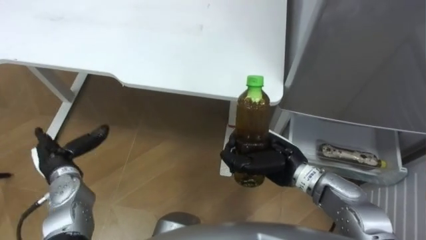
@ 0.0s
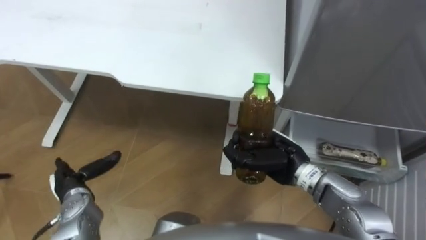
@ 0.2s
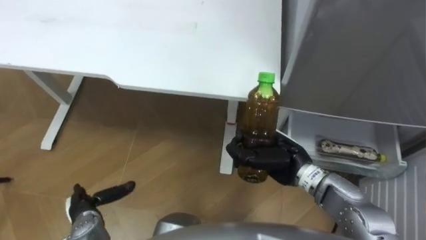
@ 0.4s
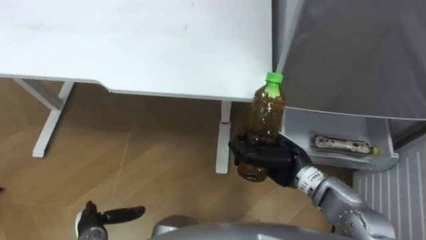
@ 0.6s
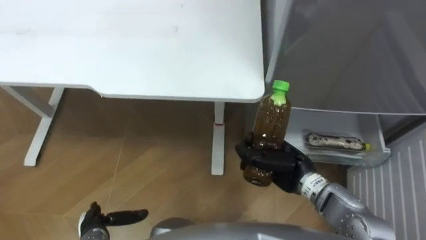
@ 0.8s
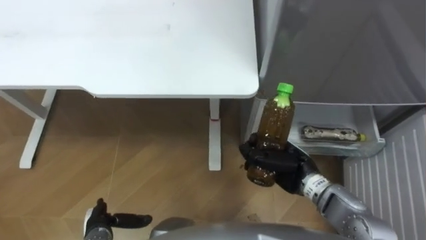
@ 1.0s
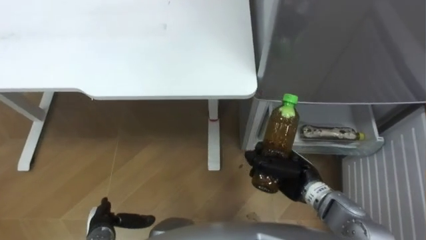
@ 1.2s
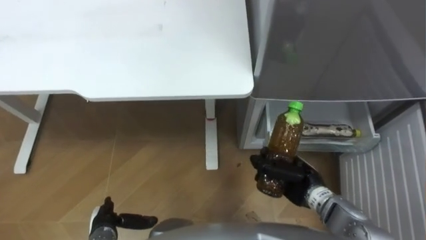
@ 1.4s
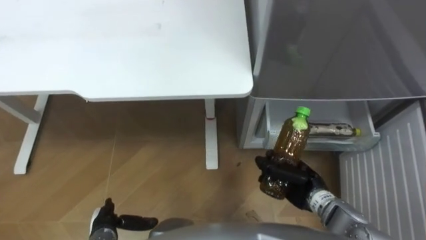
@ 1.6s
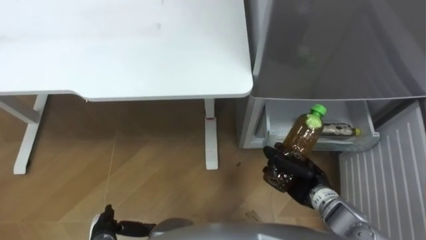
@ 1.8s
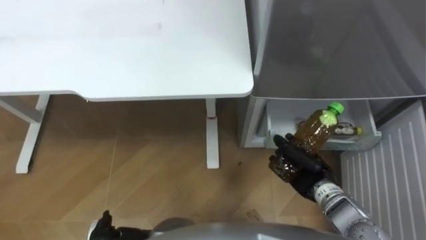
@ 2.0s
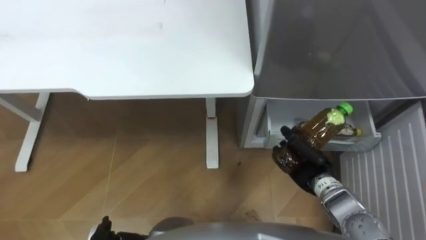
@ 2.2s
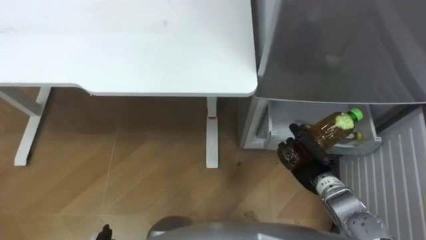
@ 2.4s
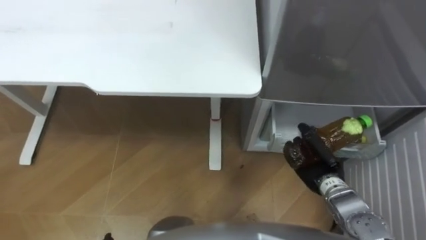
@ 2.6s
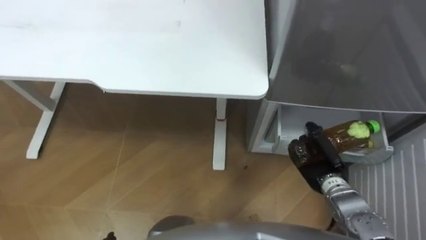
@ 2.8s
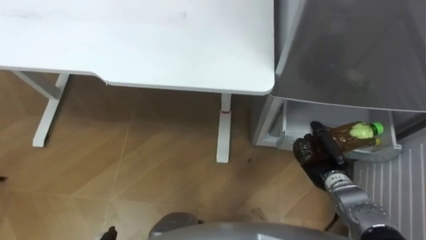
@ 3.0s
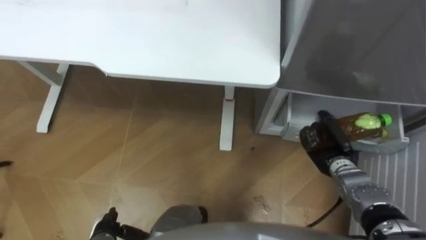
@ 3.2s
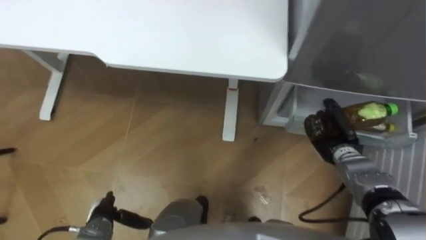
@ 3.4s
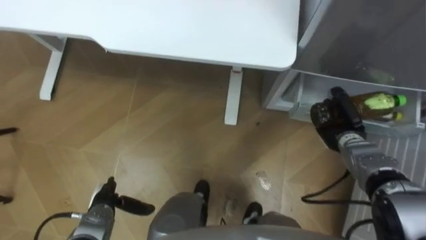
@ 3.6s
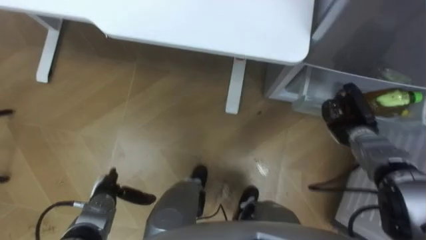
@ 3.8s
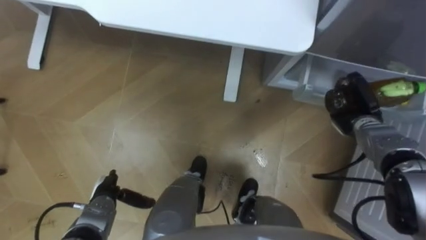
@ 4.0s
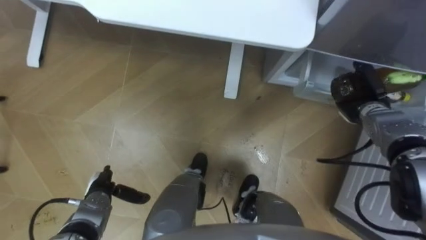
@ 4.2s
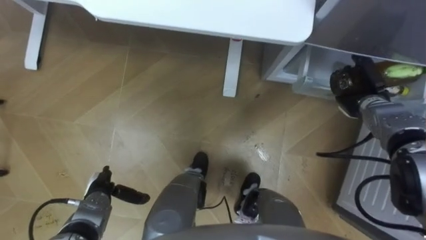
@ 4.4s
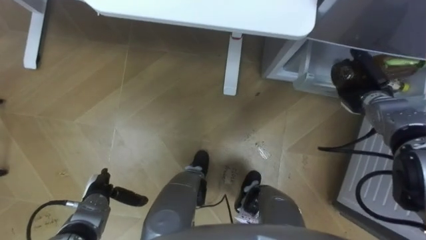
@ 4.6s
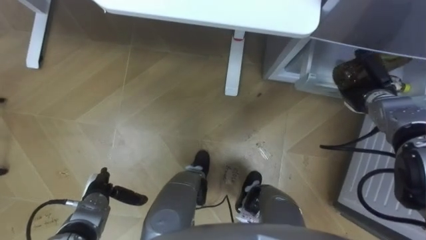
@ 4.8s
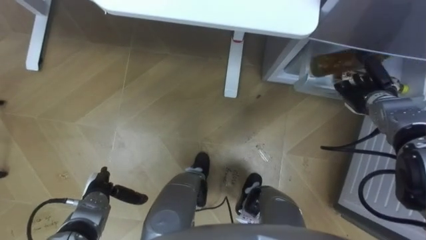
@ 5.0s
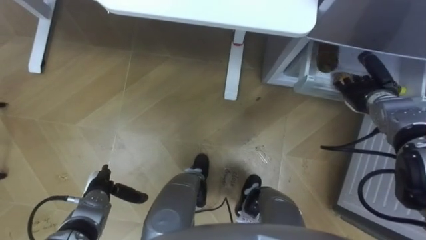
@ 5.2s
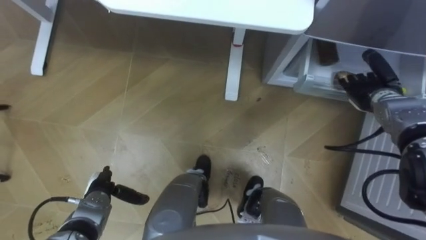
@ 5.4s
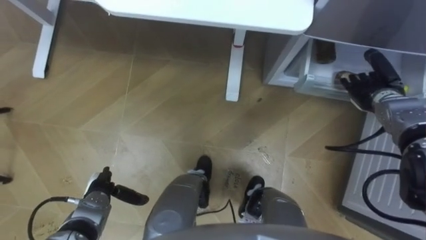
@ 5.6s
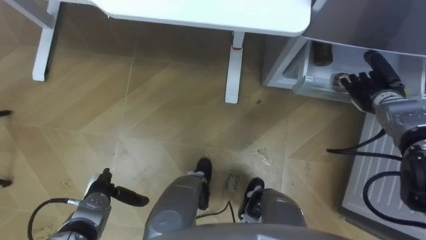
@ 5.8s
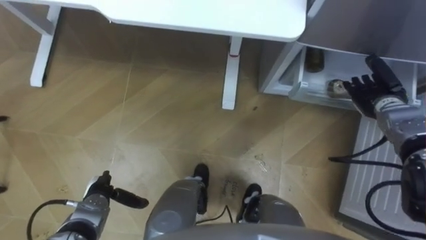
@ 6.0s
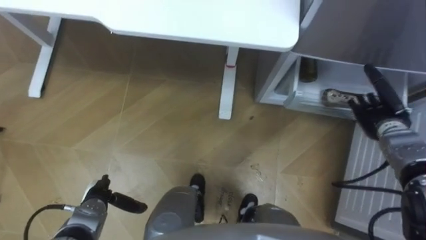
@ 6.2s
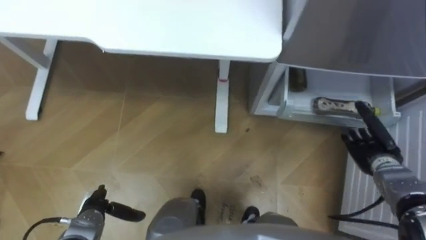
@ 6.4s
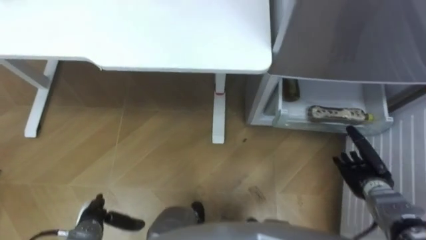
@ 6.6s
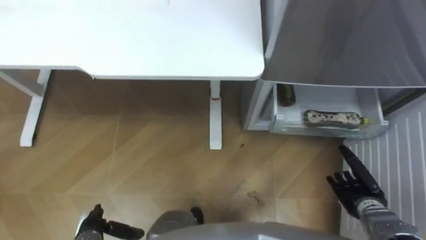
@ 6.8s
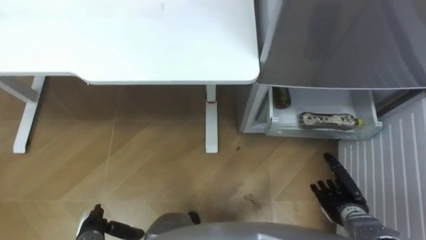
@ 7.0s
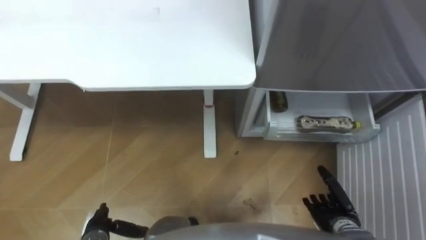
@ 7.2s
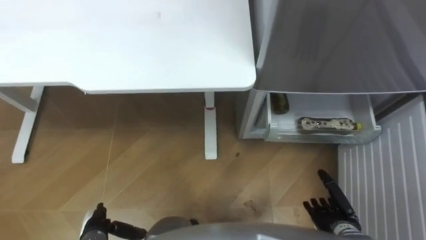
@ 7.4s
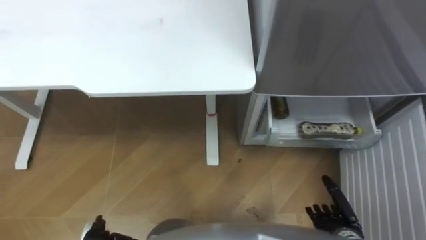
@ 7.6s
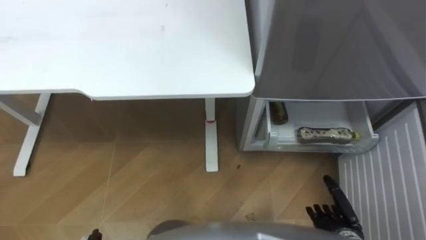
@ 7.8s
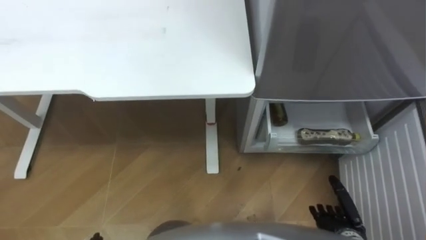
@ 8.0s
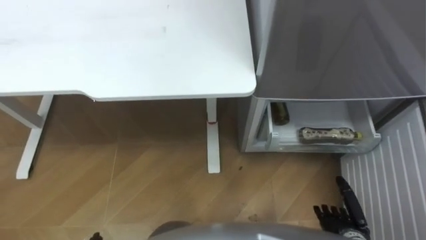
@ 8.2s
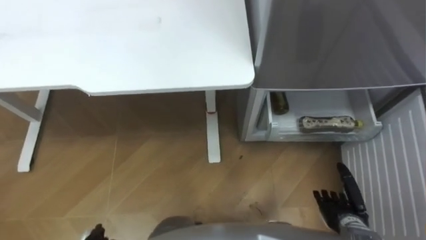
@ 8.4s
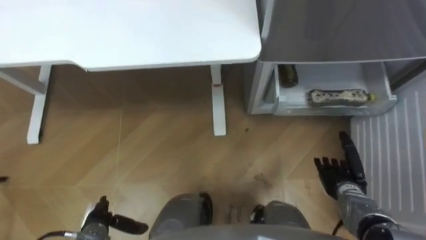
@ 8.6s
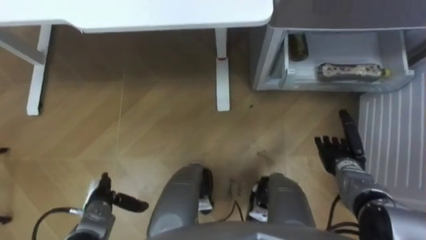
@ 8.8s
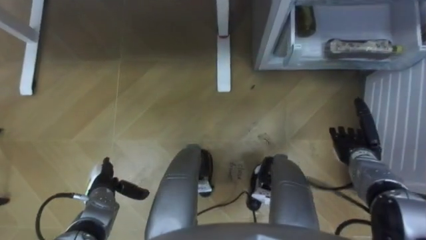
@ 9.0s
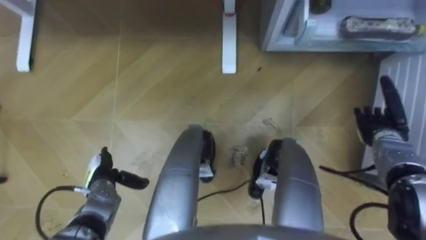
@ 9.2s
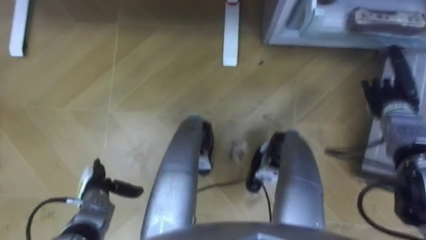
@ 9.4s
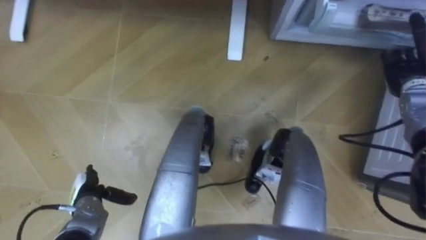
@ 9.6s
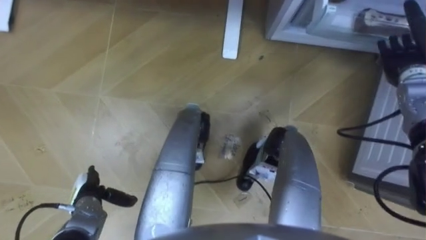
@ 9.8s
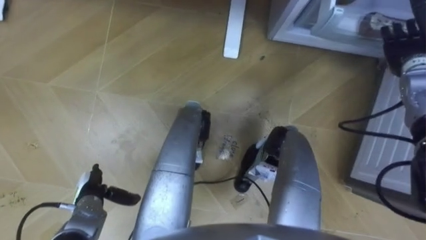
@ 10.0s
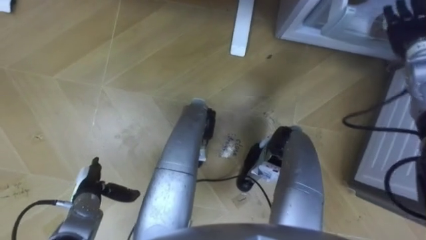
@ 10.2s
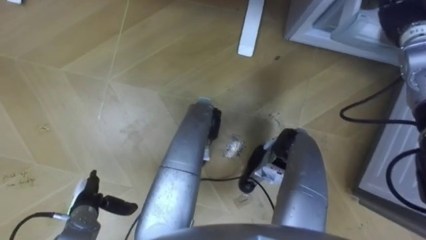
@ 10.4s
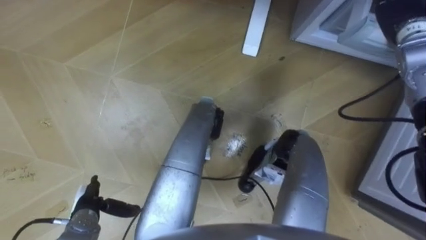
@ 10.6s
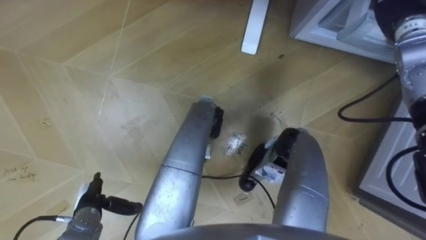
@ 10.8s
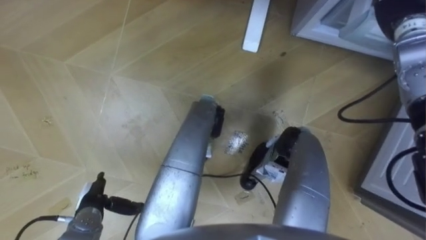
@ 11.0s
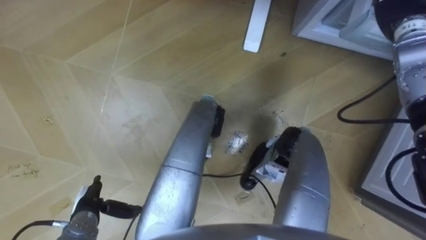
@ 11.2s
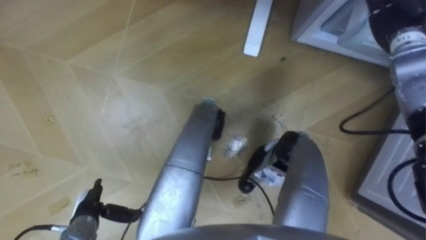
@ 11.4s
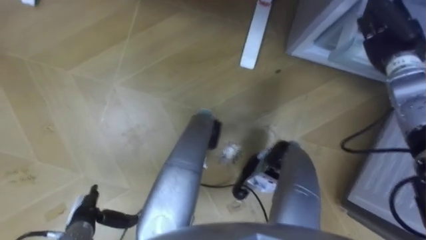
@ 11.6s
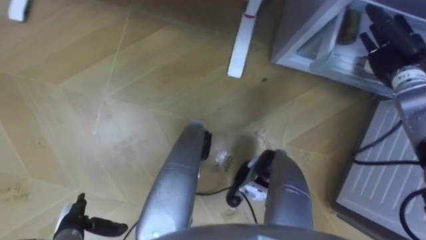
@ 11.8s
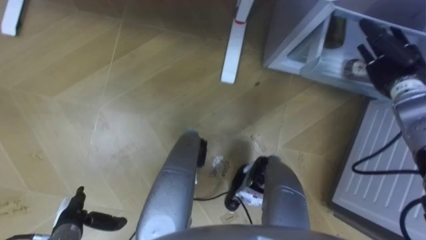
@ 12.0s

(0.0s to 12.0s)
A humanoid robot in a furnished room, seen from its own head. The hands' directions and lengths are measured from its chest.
Task of the whole recording: Place the drink on the table on the bottom shelf of the refrigerator, then close the drawer and the refrigerator door.
0.0s - 1.6s: The right hand goes some 10 cm downward and to the right; the left hand heads backward, downward and to the right, covering about 20 cm.
1.6s - 3.0s: The right hand travels to the right by some 5 cm.
3.0s - 4.4s: The right hand shifts about 15 cm forward, upward and to the right.
4.4s - 6.0s: The right hand opens up.
6.0s - 7.6s: The right hand moves backward and downward, some 30 cm.
7.6s - 9.0s: The right hand shifts about 15 cm forward.
9.0s - 10.4s: The right hand shifts about 30 cm upward and forward.
10.4s - 12.0s: The right hand shifts some 10 cm downward and backward.

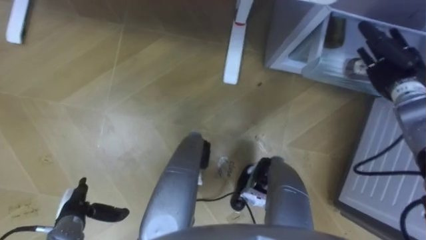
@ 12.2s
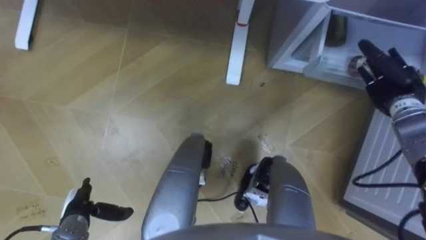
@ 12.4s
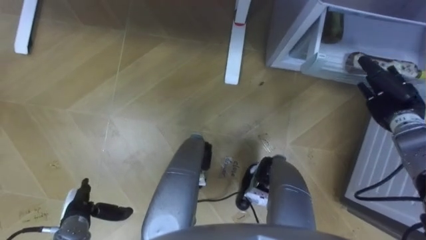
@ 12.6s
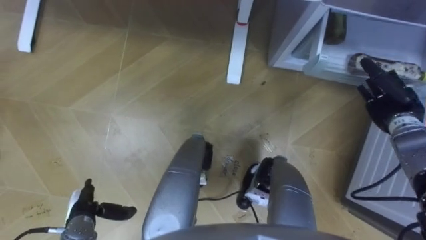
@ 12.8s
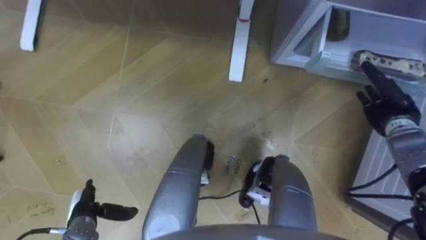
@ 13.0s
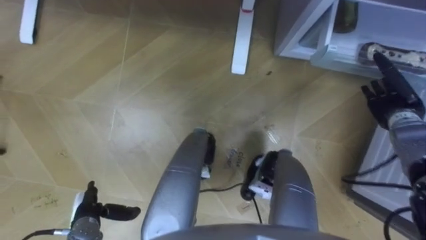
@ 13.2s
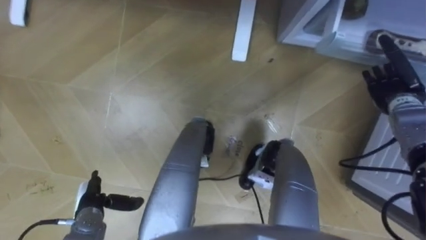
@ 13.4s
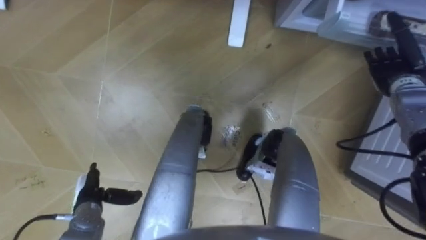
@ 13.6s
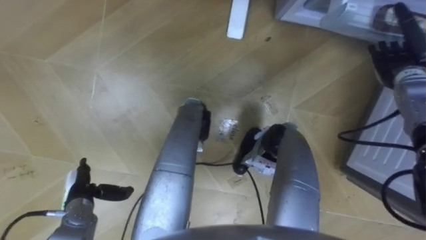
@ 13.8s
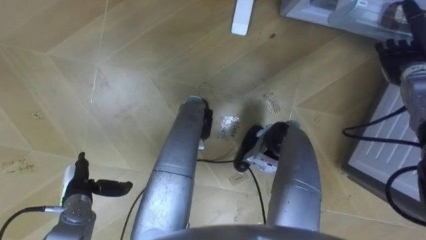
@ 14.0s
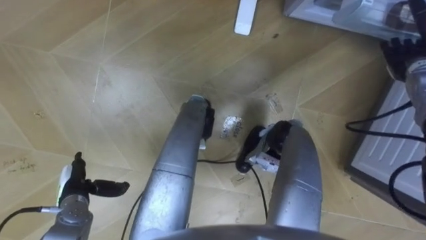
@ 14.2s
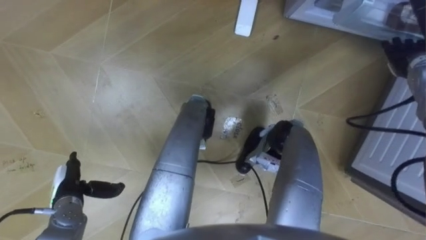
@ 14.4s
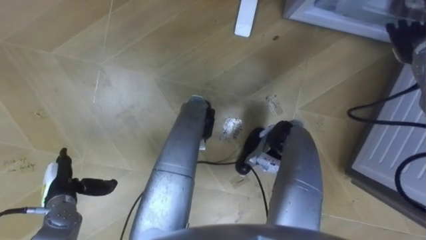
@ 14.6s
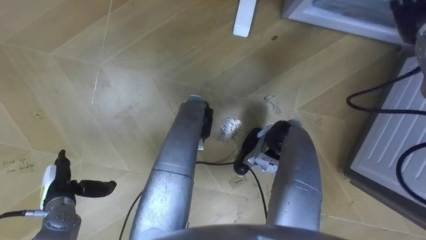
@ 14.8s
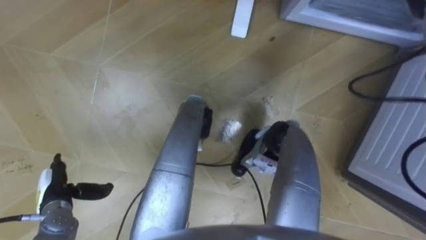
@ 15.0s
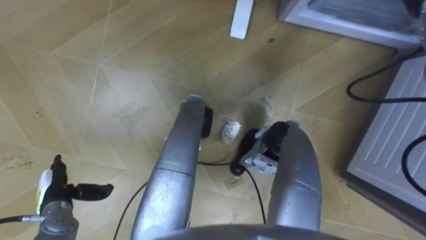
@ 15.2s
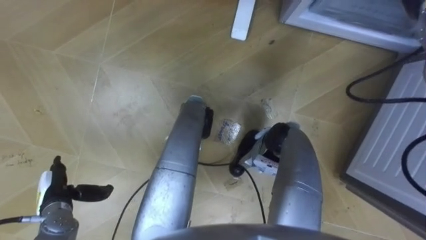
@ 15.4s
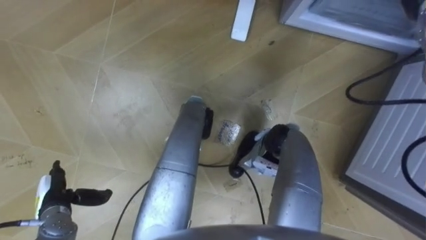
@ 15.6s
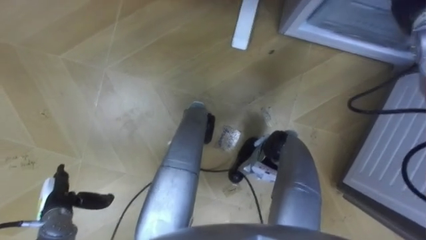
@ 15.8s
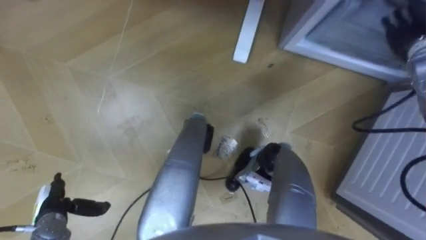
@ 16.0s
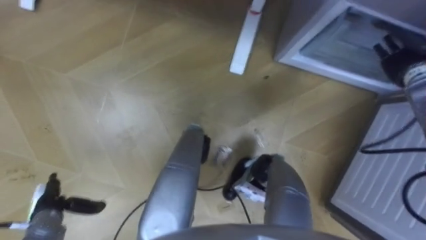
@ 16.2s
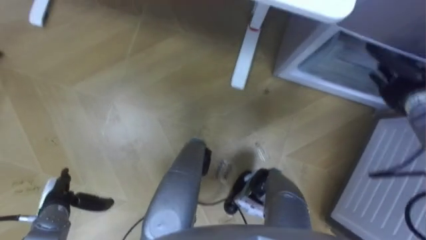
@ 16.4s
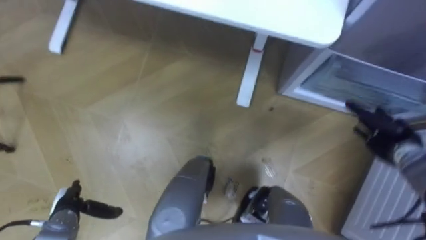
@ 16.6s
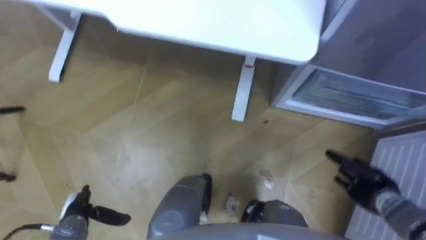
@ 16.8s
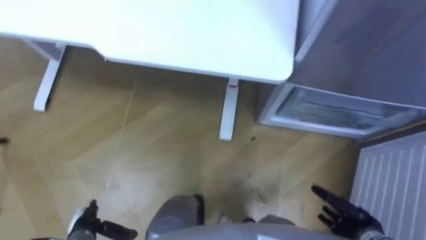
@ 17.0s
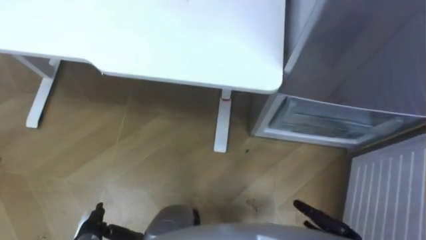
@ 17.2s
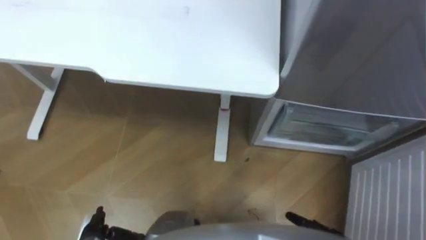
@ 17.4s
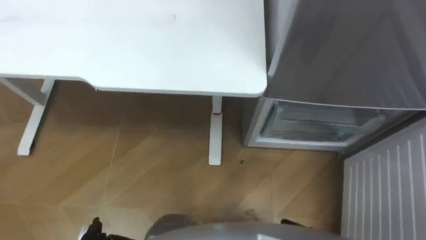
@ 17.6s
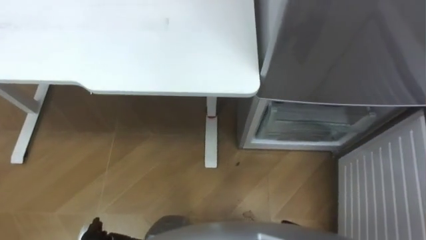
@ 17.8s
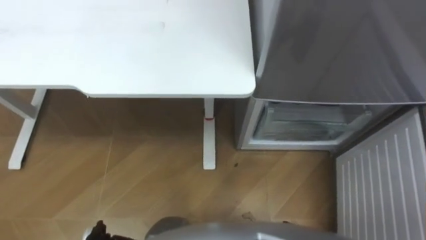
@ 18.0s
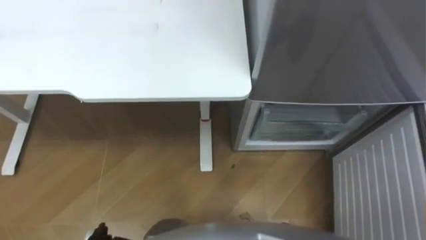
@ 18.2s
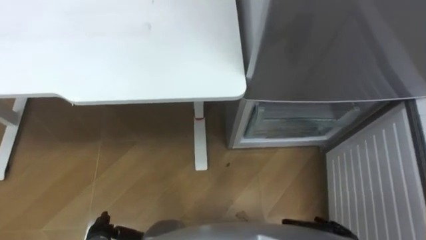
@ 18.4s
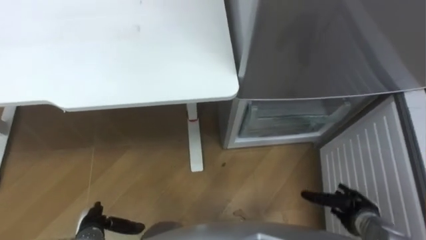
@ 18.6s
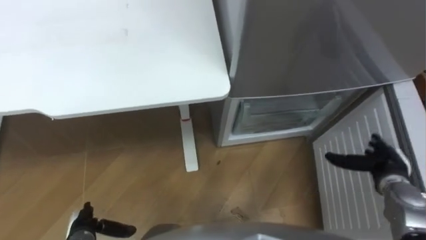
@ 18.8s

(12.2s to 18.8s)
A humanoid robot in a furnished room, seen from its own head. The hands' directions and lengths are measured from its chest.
Task of the whole recording: Place the drink on the table on the bottom shelf of the refrigerator, then close the drawer and the refrigerator door.
15.4s - 17.2s: The left hand heads backward, downward and to the right, covering about 10 cm.
